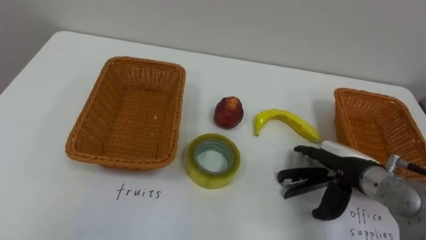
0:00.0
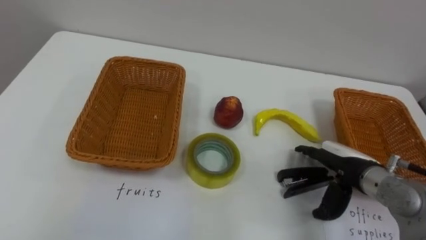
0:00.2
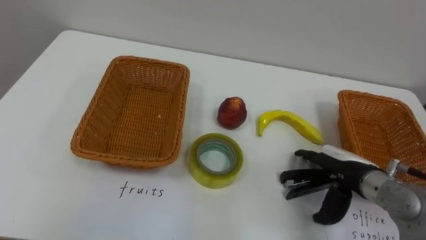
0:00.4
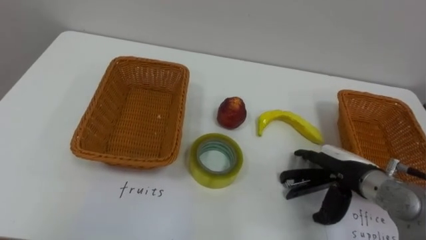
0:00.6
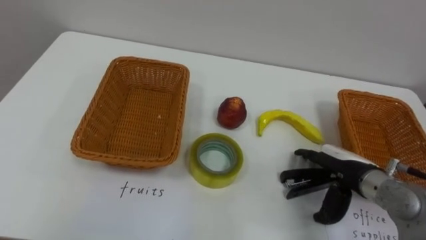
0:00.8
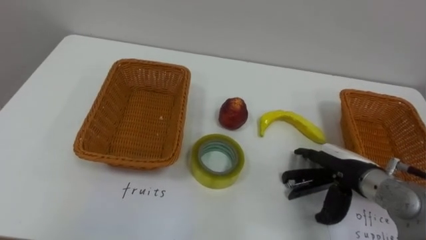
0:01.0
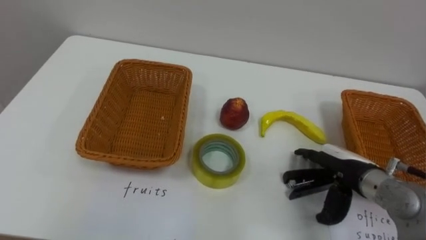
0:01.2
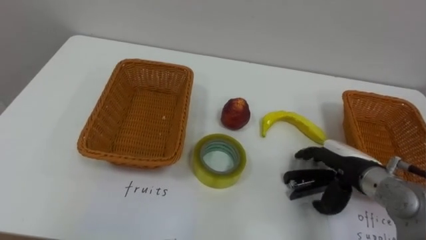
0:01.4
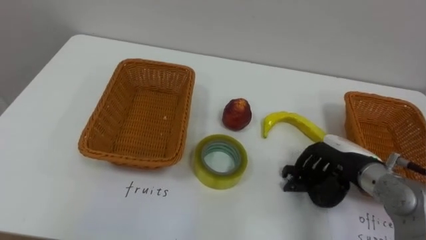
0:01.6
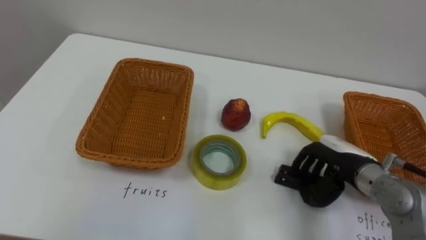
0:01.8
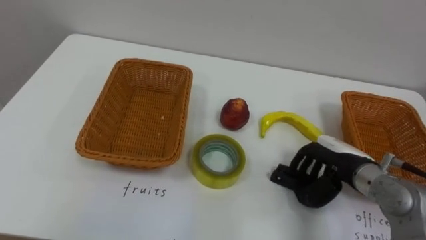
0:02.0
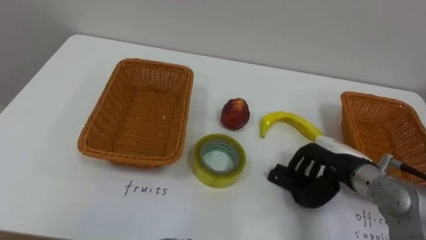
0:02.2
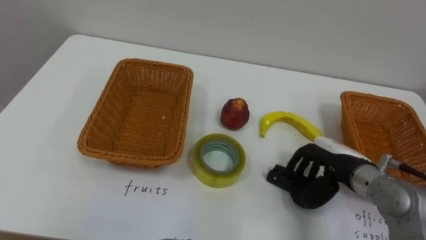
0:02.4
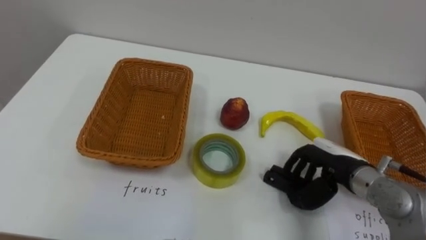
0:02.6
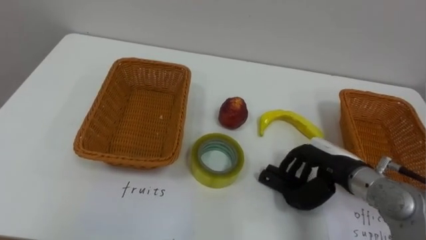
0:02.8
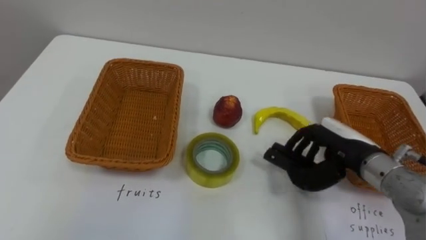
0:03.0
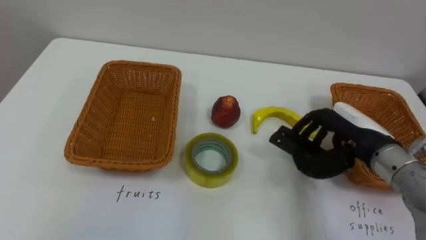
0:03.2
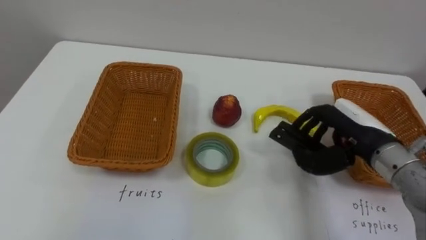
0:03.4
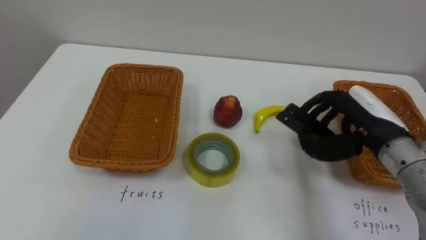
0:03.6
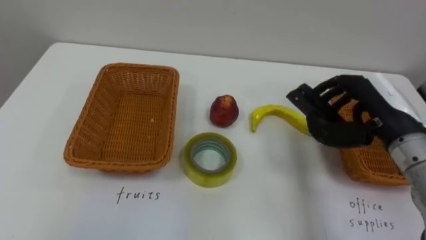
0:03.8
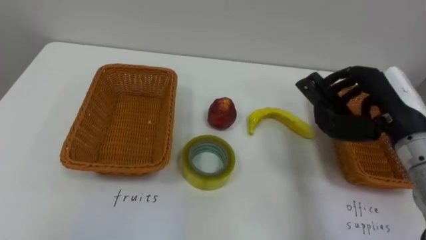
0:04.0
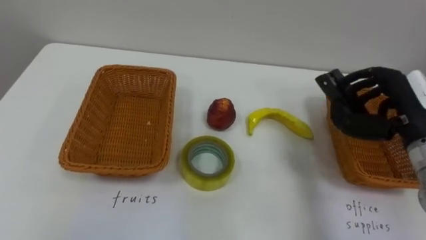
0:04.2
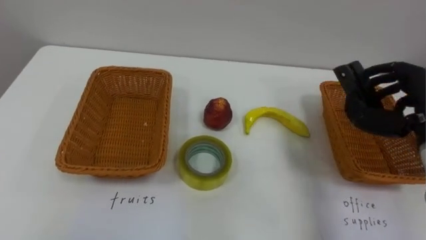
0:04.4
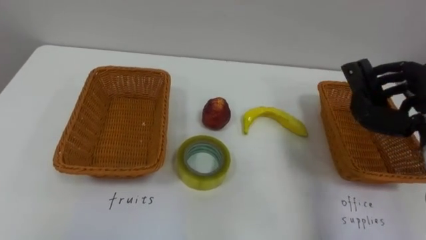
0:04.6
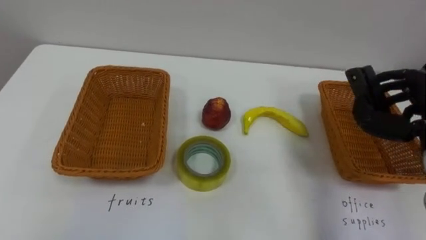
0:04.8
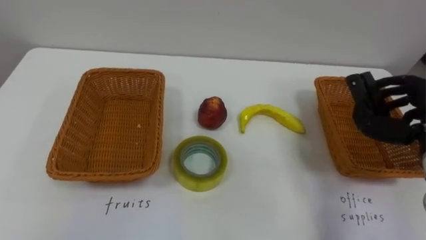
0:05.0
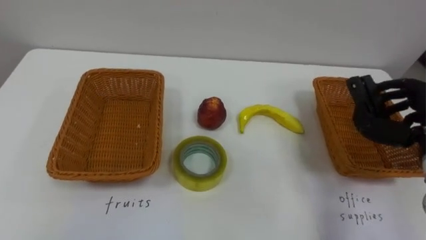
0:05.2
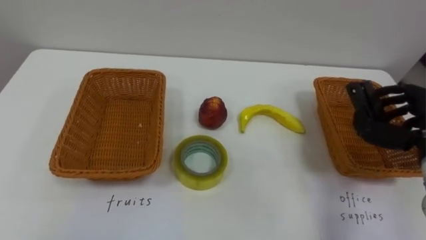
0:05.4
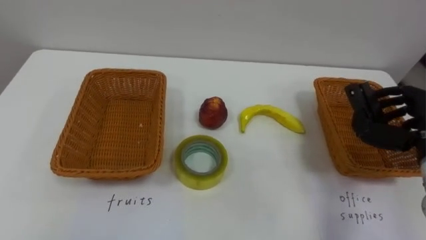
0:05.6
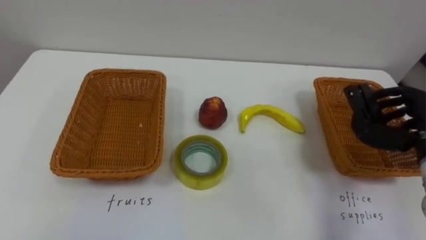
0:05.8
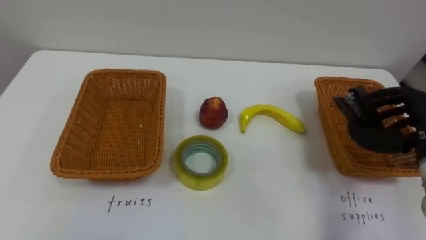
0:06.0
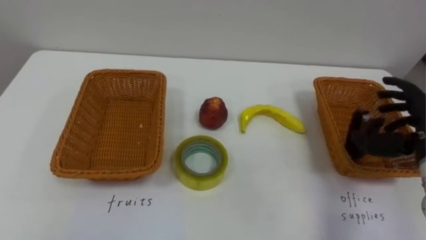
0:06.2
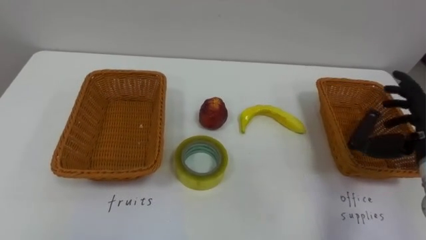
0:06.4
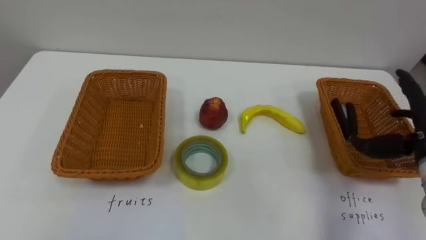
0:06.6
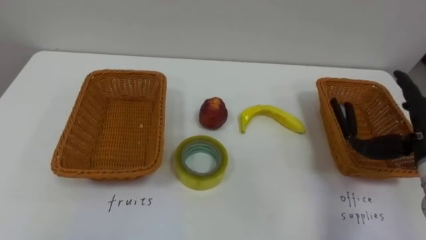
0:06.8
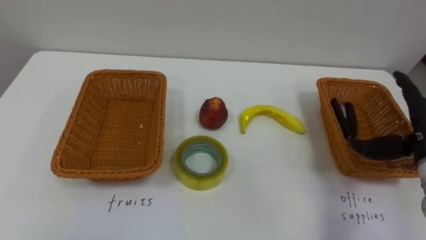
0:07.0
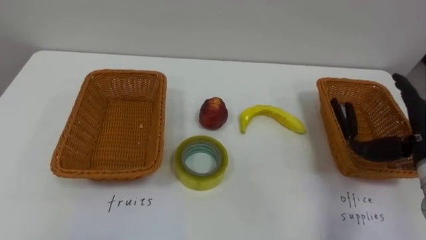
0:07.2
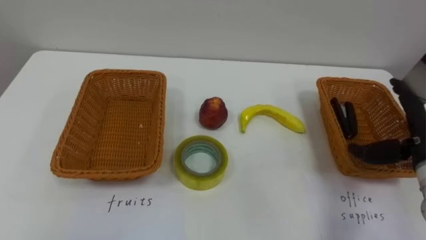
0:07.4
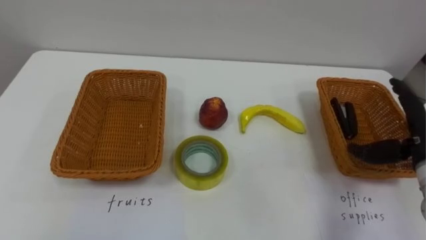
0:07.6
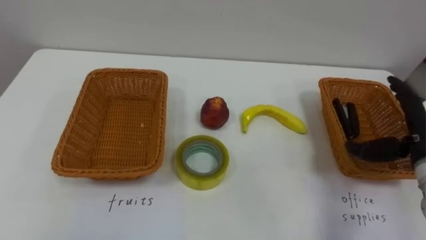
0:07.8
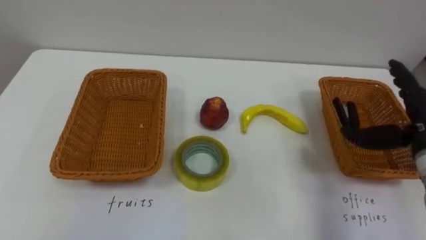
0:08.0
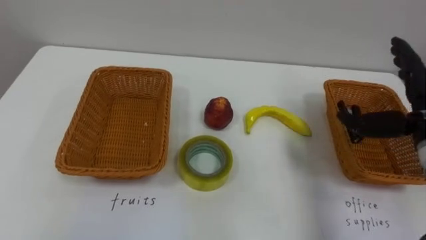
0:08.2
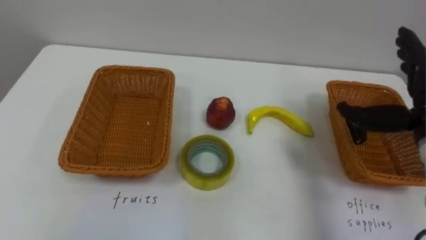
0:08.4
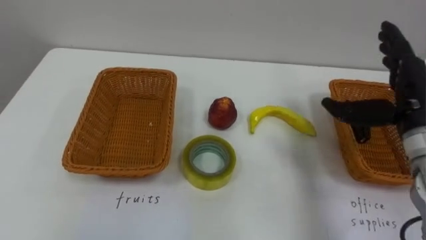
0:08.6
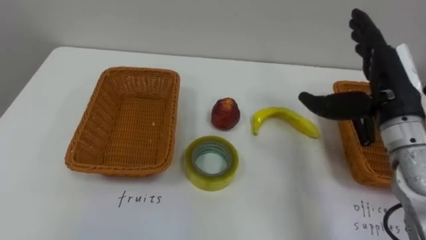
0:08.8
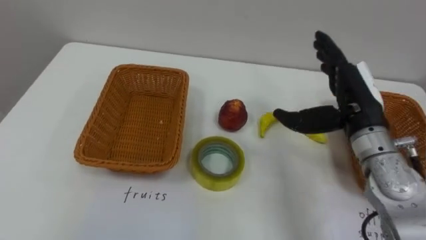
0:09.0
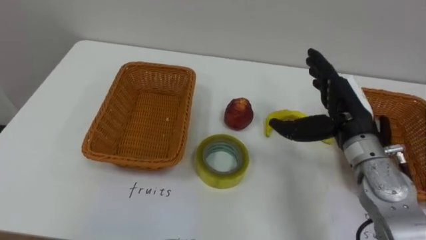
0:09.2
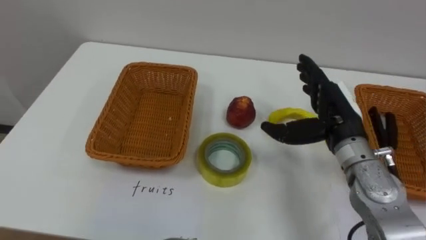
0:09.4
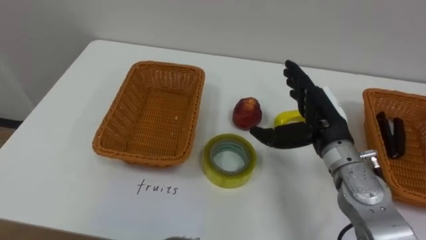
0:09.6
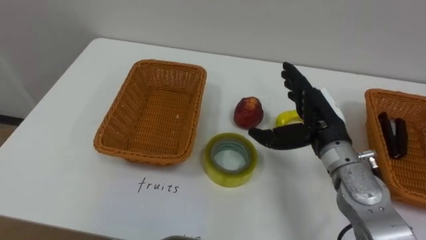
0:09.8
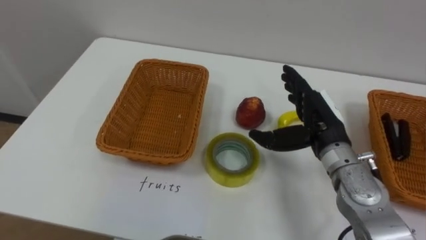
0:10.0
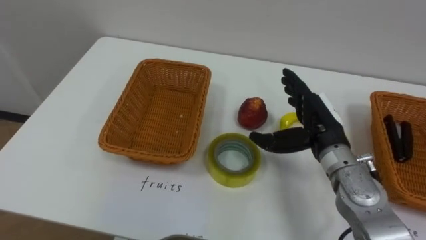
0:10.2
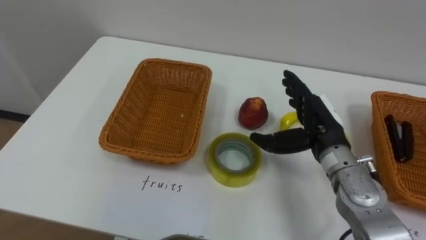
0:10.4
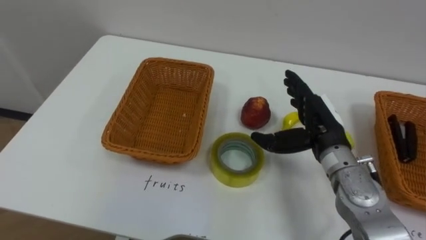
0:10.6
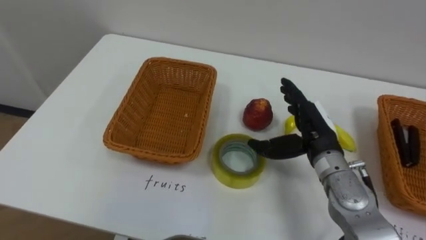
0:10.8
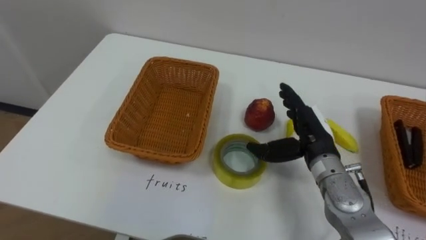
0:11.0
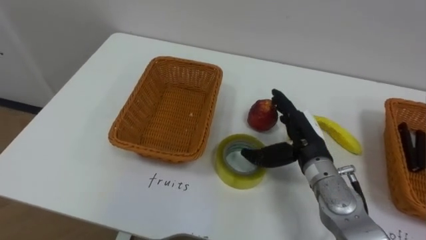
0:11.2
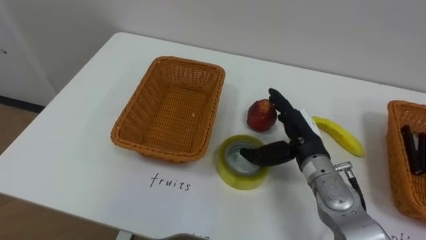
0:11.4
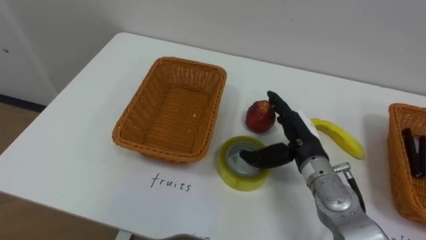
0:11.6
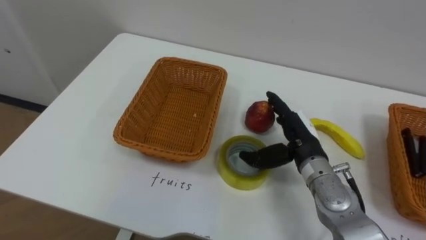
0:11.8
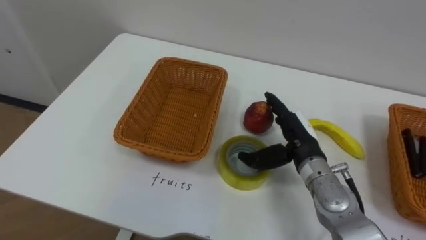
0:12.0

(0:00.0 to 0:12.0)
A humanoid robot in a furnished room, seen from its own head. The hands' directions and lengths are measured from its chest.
Task of the whole recording: Separate the items on the table and place them into the two baskets.
0:00.0 - 0:01.6: The right hand closes.
0:03.0 - 0:04.4: The right hand is displaced to the right and upward by about 15 cm.
0:06.0 - 0:07.6: The right hand opens up.
0:07.6 - 0:09.0: The right hand goes some 15 cm to the left and upward.
0:09.0 - 0:10.4: The right hand goes some 5 cm downward.
0:10.4 - 0:12.0: The right hand shifts by approximately 5 cm.

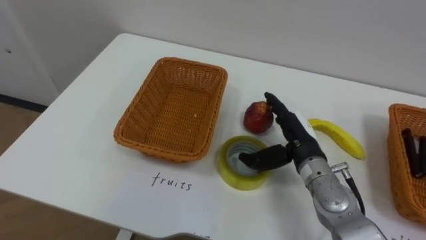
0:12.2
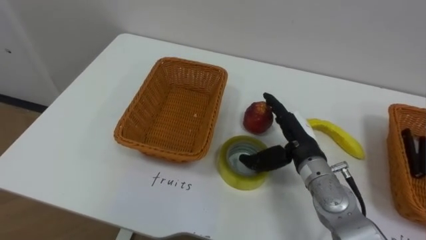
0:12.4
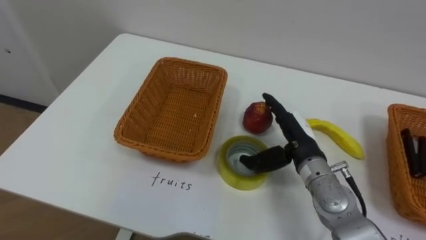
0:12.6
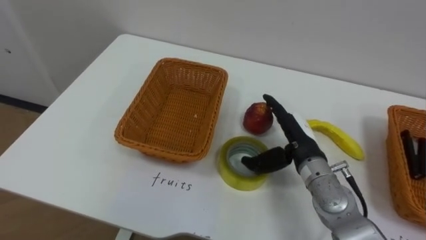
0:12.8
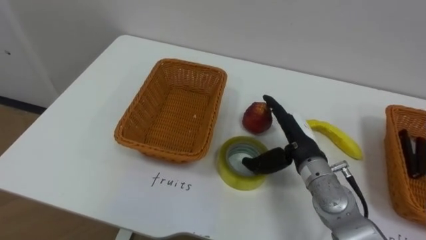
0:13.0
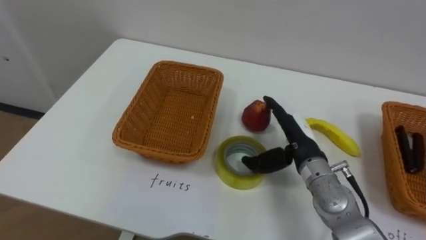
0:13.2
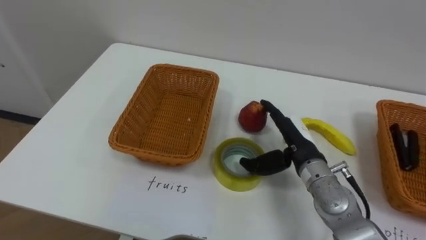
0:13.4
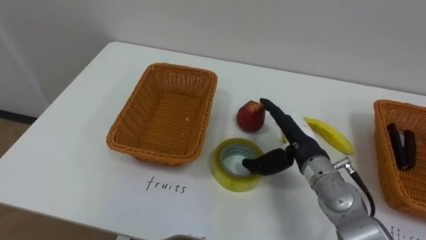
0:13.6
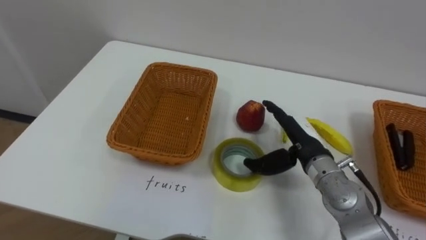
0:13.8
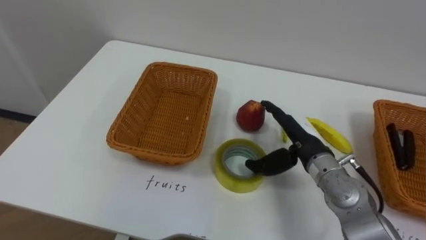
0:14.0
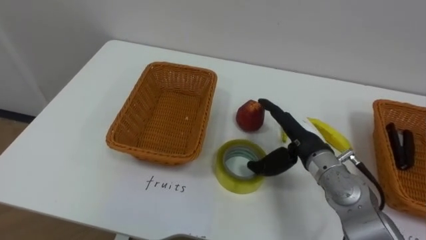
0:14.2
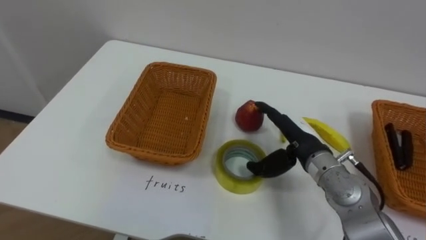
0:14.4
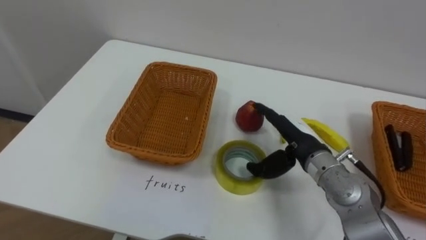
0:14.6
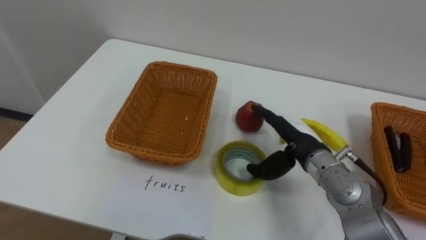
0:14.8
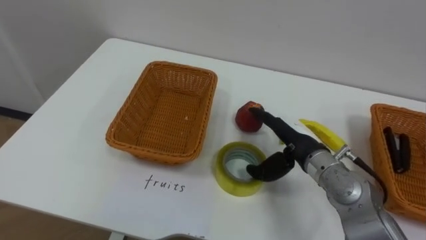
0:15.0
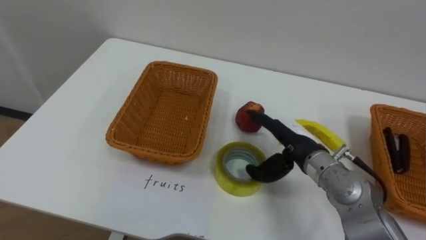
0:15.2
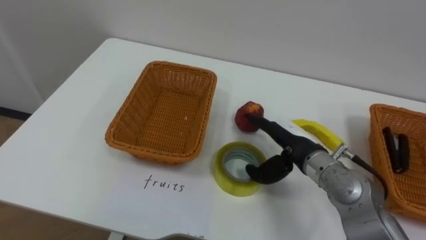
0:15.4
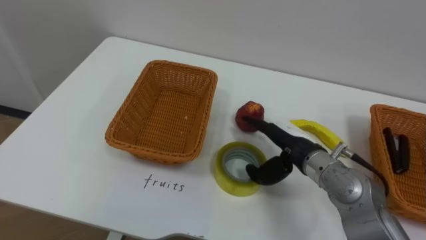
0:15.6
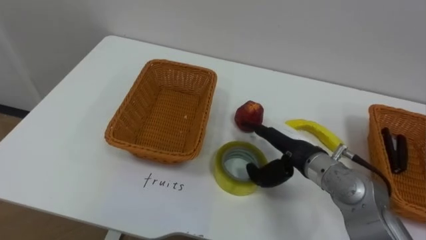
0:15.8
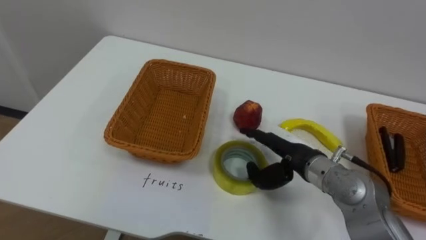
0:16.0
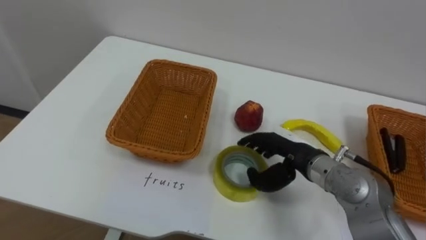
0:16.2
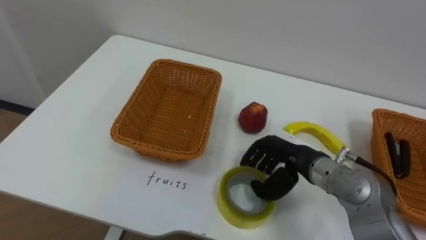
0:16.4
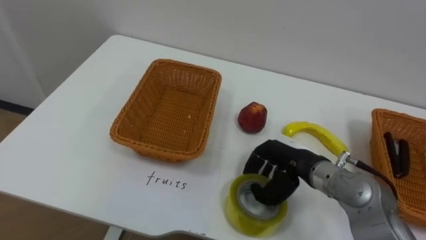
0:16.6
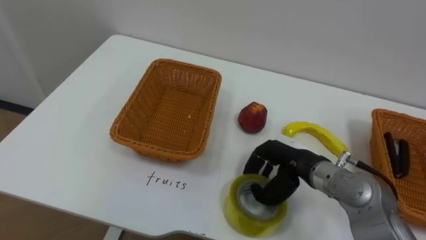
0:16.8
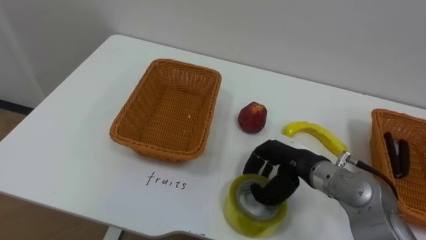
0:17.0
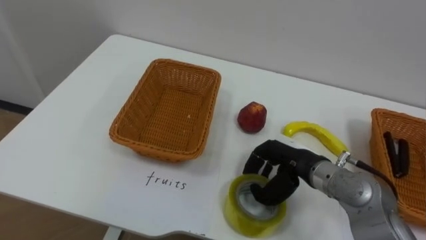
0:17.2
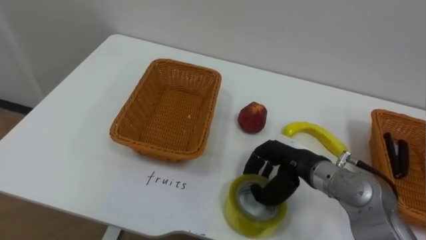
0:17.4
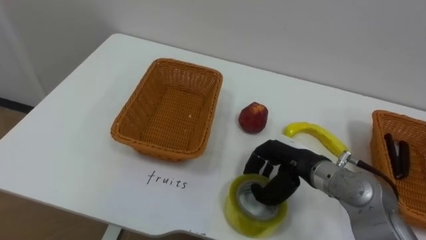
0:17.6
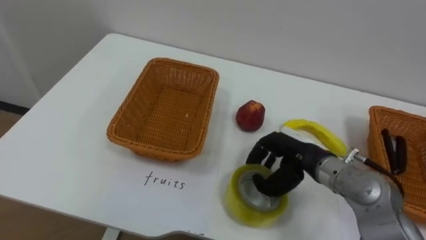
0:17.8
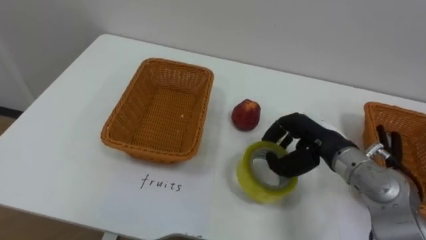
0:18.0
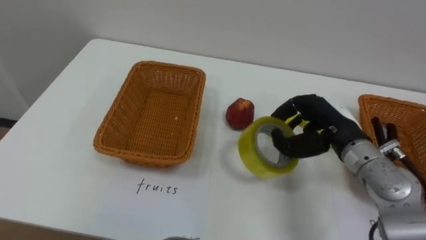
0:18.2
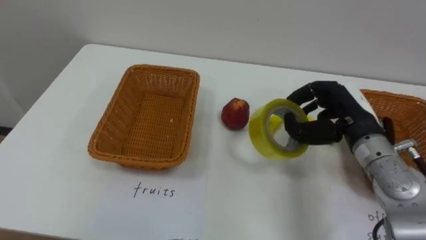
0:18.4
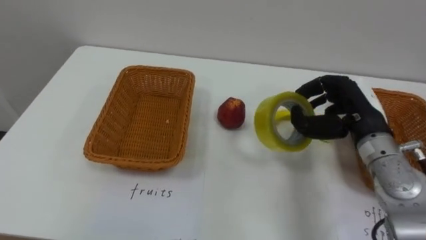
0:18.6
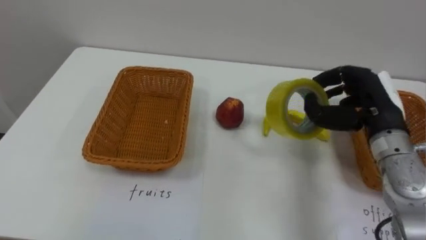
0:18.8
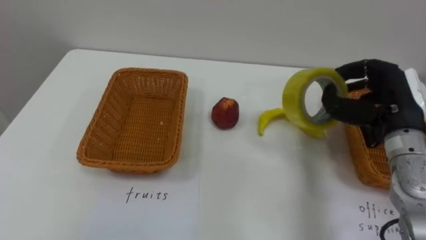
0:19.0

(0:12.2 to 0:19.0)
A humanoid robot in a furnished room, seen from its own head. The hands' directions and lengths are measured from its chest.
Task of the whole recording: Separate the items on the table and place them into the two baskets.
0:16.2 - 0:17.6: The right hand closes its fingers.
0:17.6 - 0:19.0: The right hand shifts some 15 cm to the right and upward.
